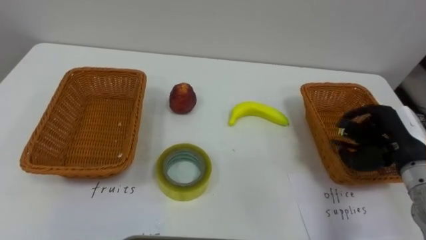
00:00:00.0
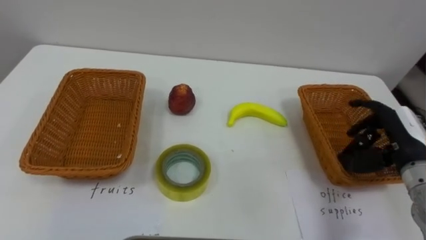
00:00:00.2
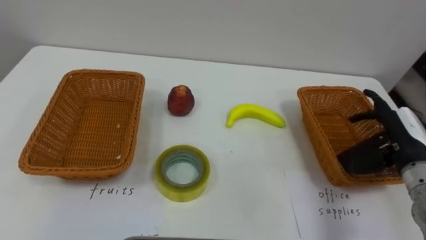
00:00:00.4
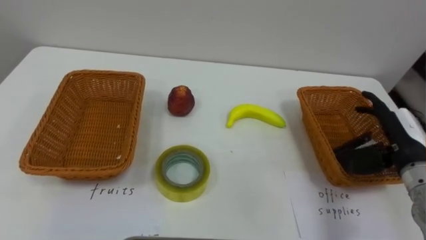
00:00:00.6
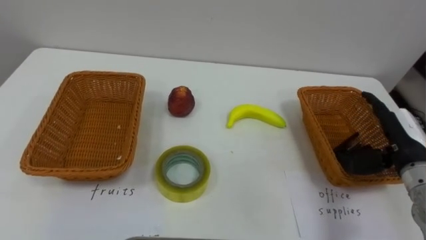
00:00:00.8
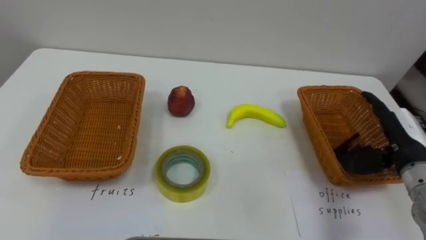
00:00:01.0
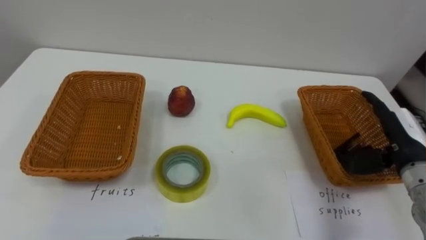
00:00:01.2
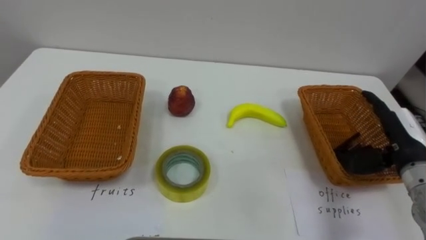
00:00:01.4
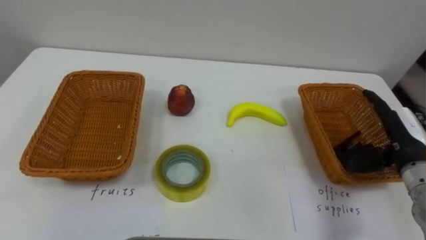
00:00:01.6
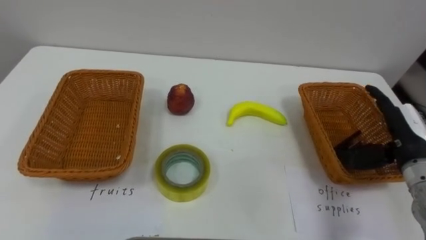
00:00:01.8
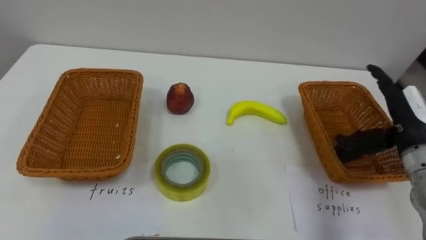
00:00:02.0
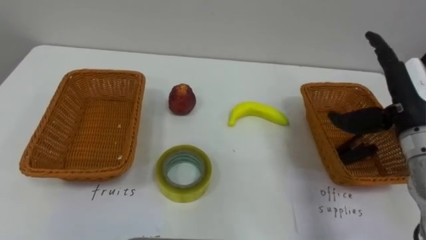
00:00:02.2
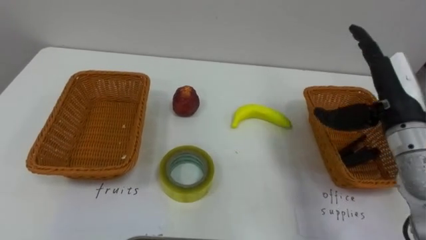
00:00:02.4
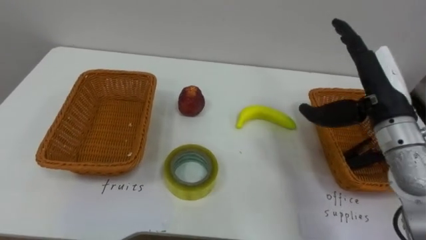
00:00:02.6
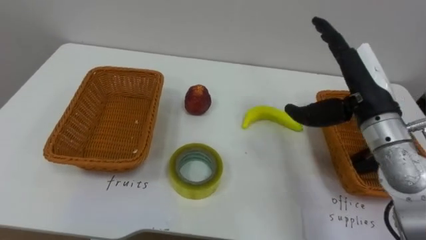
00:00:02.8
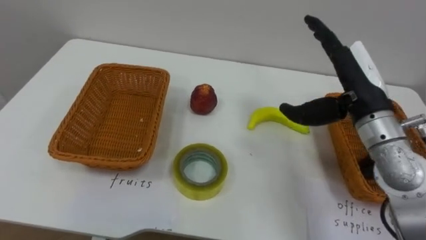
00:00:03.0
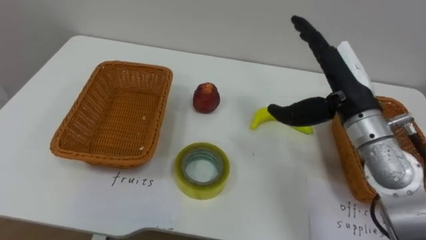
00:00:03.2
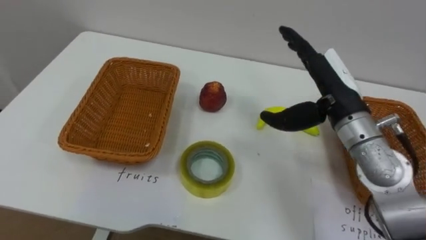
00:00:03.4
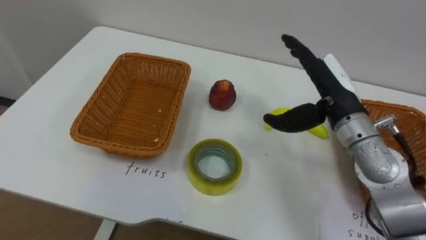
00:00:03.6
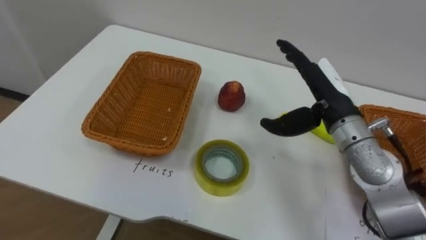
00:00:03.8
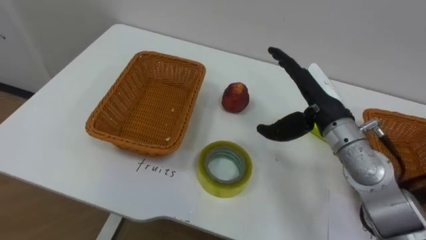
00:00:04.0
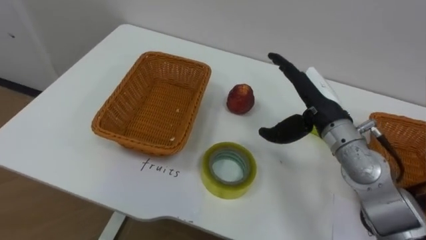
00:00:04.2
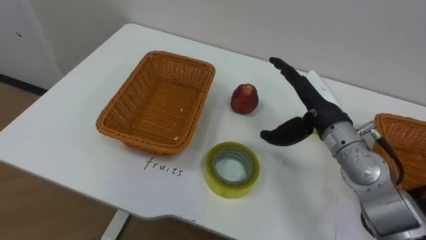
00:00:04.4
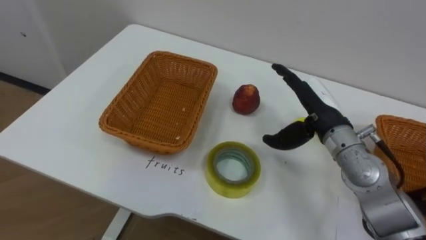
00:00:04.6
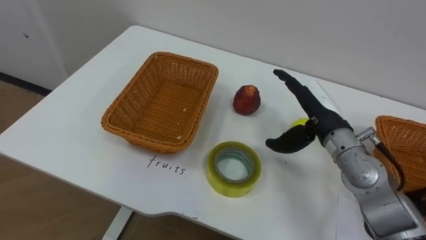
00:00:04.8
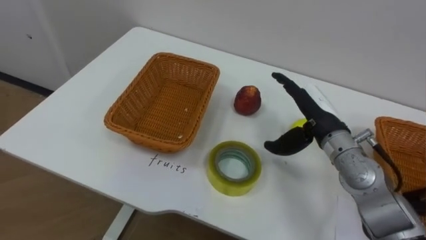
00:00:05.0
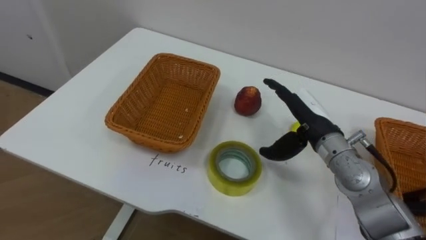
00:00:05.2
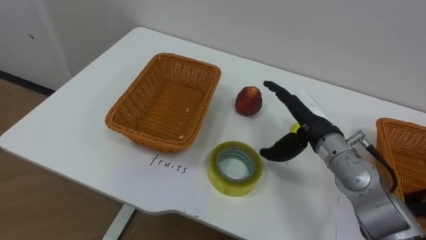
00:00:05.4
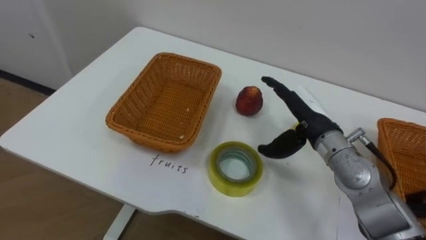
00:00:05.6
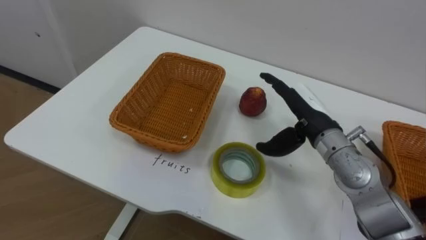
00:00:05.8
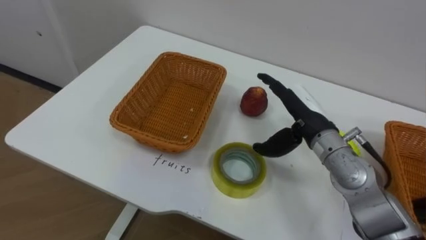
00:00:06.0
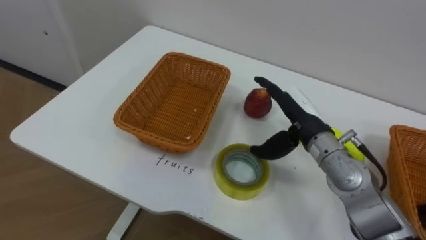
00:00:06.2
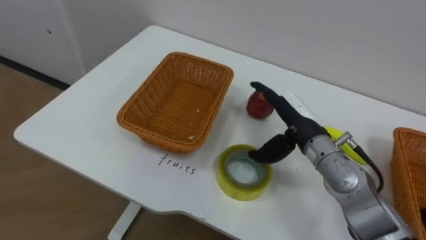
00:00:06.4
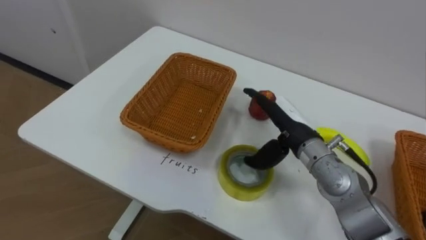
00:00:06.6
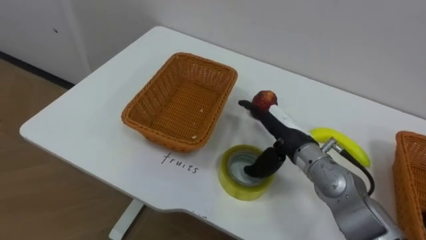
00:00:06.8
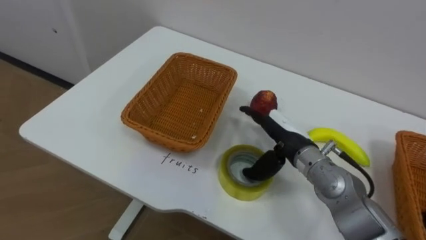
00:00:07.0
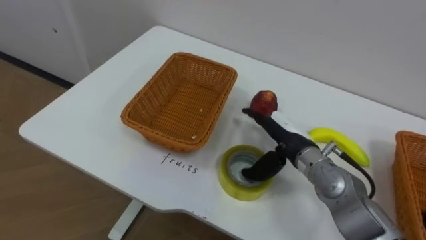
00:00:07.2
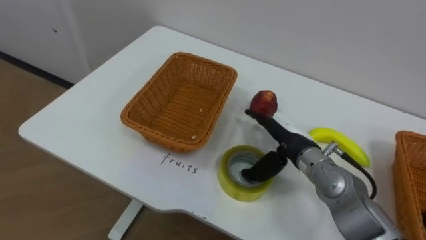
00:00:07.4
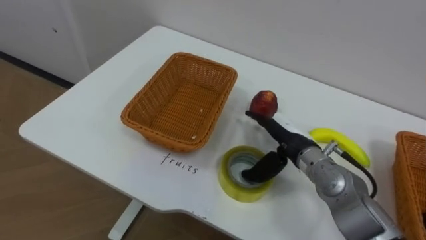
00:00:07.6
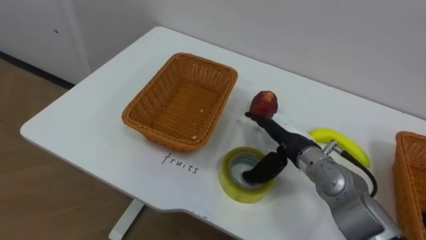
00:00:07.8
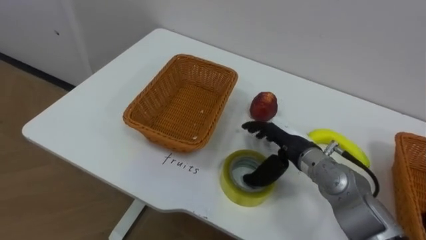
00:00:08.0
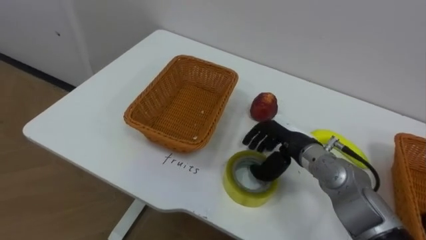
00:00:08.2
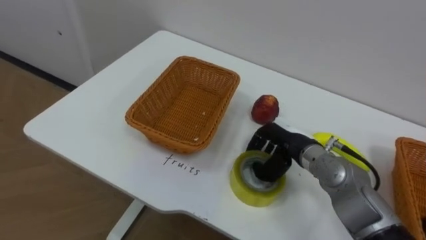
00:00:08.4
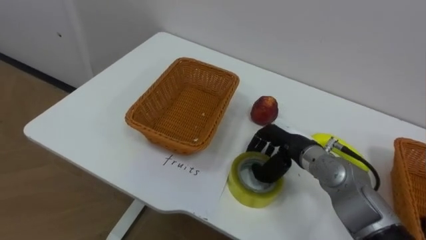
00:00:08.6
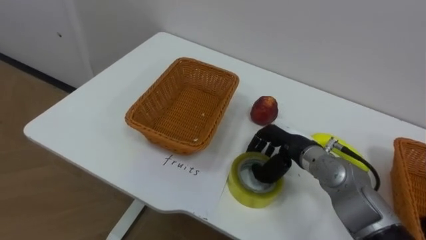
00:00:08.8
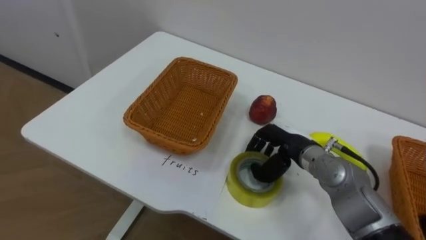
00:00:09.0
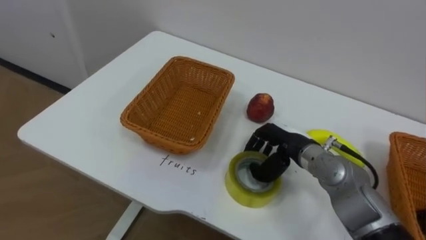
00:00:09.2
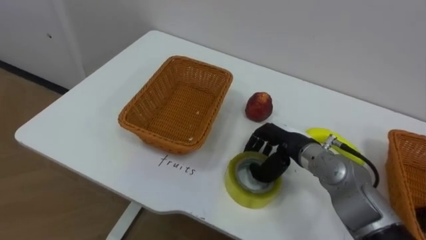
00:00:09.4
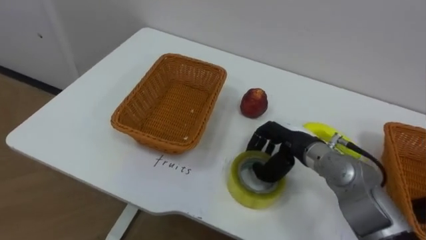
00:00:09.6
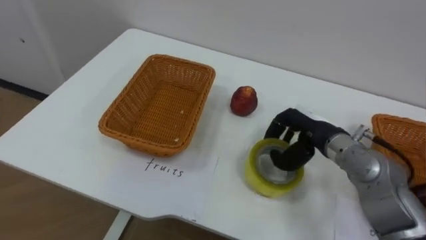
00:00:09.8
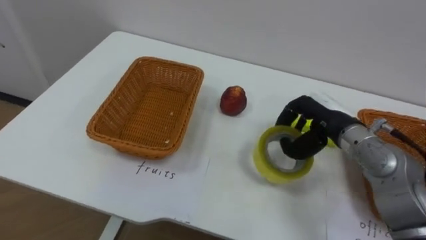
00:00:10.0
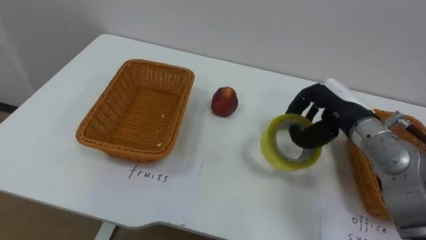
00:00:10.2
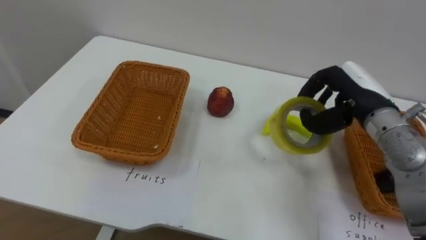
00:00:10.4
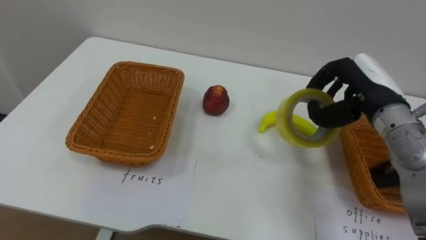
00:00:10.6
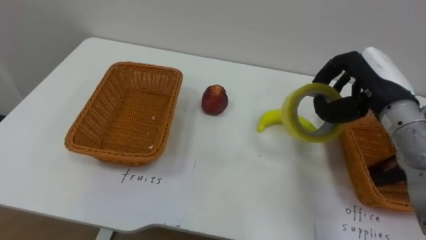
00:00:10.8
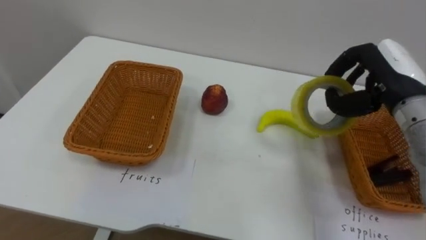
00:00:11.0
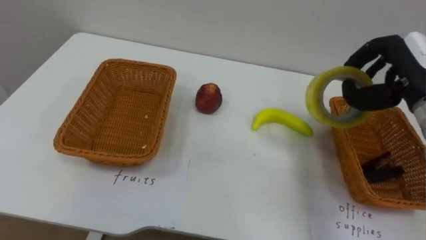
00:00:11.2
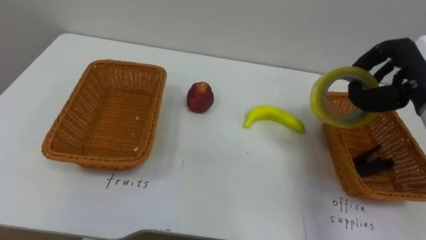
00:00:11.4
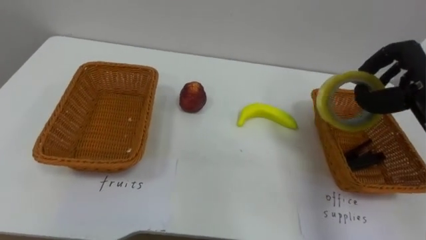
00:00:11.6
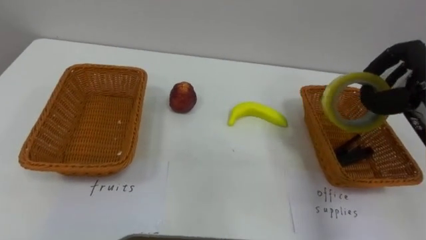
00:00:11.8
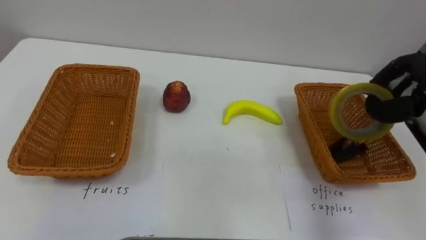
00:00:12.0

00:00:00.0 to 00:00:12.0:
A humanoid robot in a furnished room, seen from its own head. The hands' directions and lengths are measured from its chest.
Task of the whole recording: Separate the items on the table and place them into the two baskets.
00:00:00.0 to 00:00:01.6: The right hand opens.
00:00:01.6 to 00:00:03.0: The right hand heads to the left and upward, covering some 15 cm.
00:00:03.0 to 00:00:04.4: The right hand heads downward, covering some 5 cm.
00:00:06.0 to 00:00:07.6: The right hand moves downward, about 5 cm.
00:00:07.6 to 00:00:09.0: The right hand closes.
00:00:09.0 to 00:00:10.4: The right hand travels upward and to the right by about 15 cm.

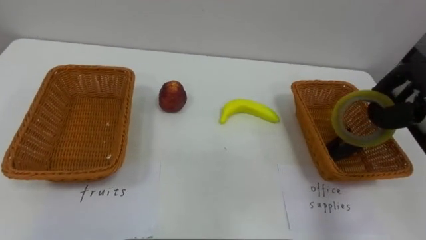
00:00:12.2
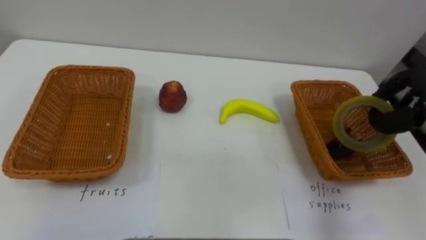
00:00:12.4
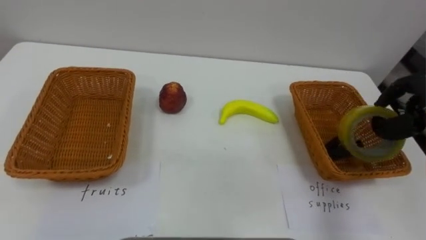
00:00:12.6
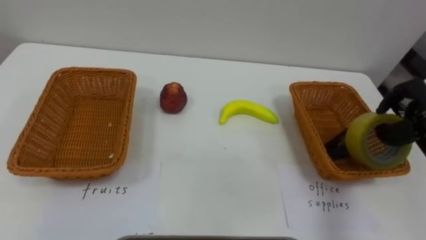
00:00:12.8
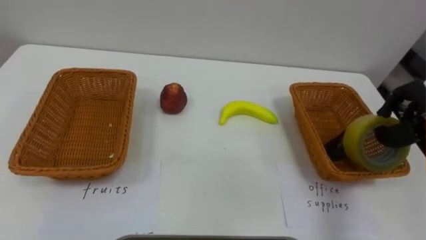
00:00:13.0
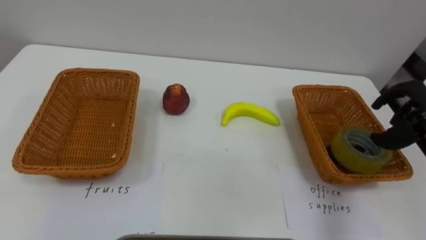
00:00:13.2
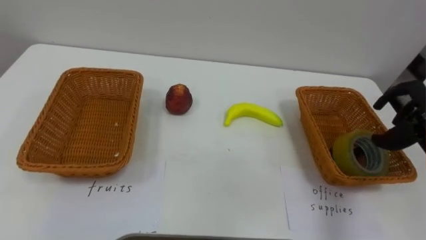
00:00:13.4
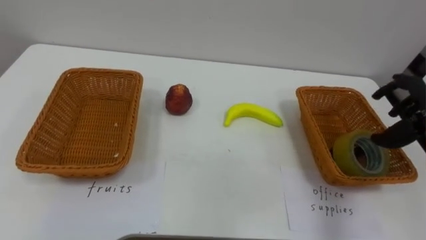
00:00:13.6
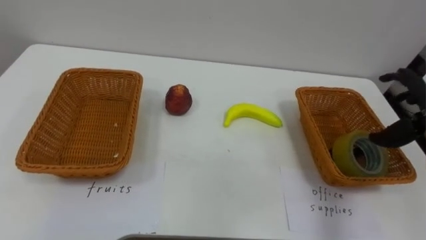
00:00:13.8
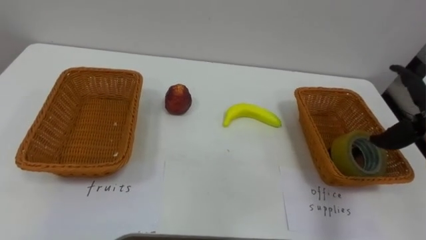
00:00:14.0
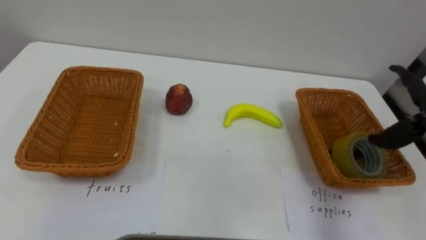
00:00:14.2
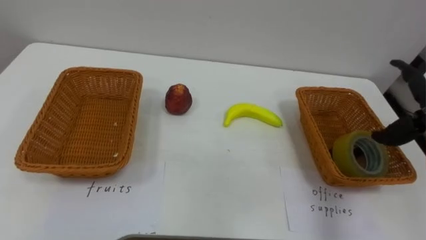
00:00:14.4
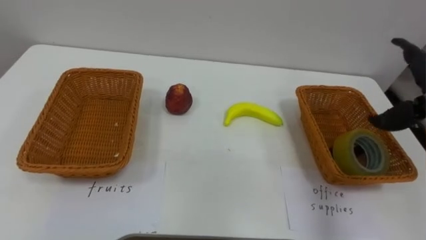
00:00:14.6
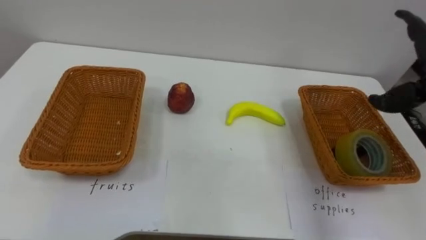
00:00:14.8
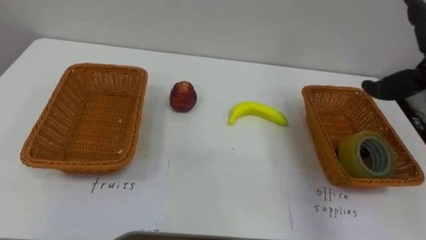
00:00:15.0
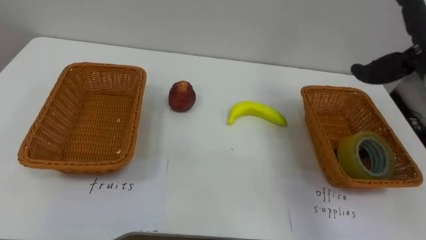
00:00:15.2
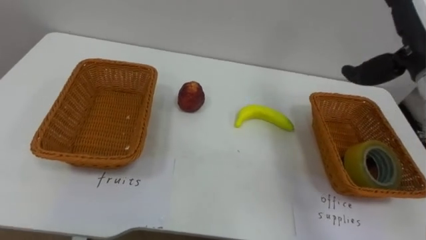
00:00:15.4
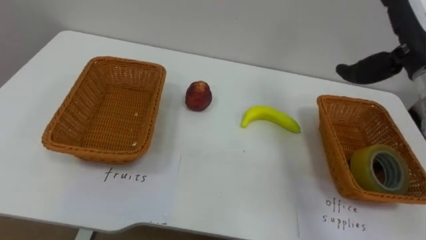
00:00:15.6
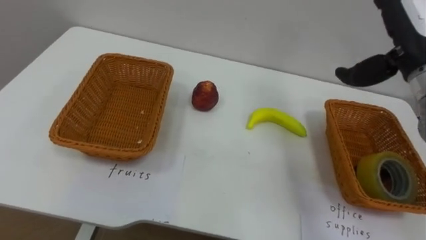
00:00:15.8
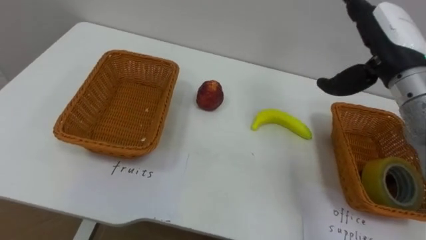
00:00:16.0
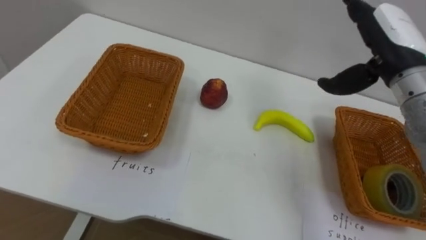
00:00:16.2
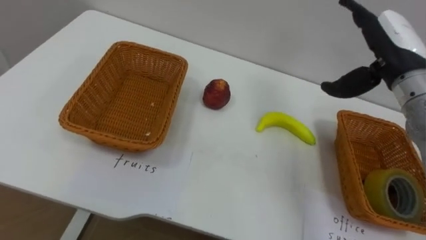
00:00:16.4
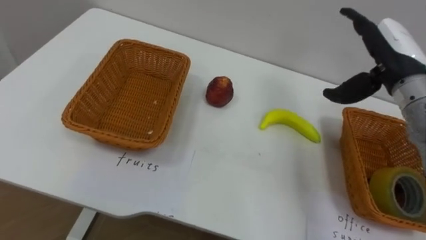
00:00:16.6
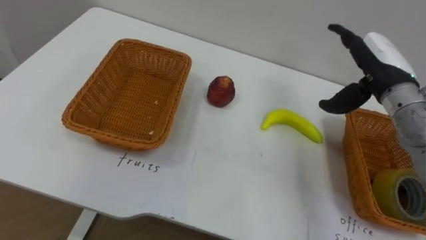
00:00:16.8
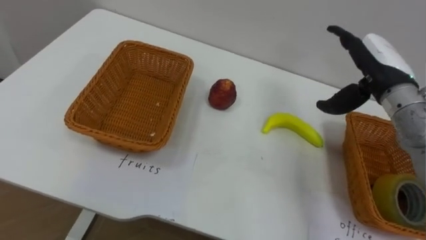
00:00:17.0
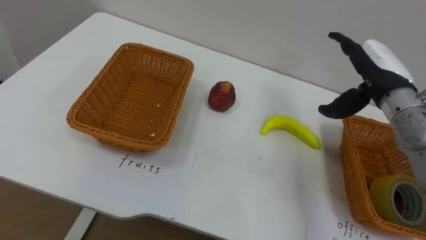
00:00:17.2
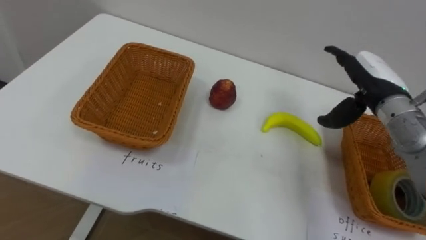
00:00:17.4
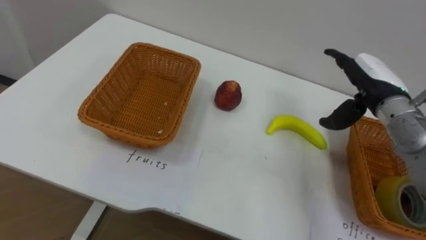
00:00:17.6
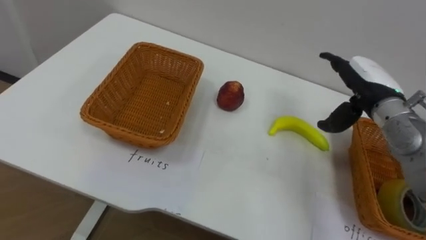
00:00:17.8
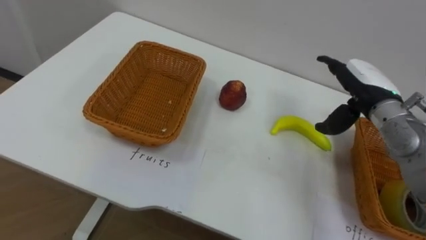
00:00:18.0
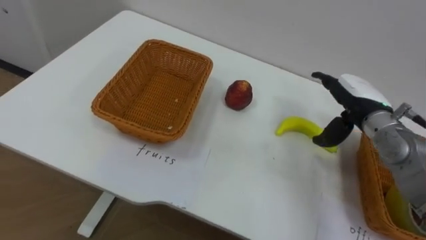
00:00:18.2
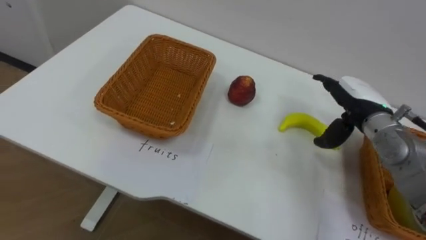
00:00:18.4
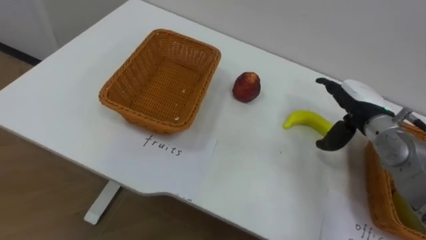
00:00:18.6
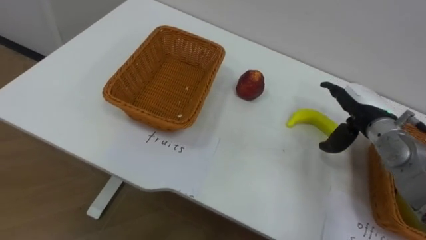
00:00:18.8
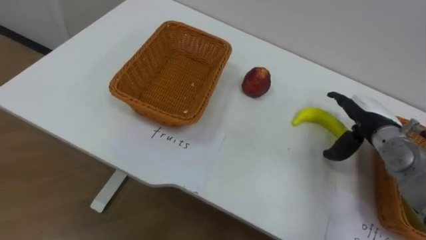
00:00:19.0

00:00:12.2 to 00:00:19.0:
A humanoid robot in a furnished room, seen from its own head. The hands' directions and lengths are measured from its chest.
Task of the whole recording: Separate the items on the table and place them into the two baskets.
00:00:16.2 to 00:00:17.6: The right hand travels downward by roughly 10 cm.
00:00:17.6 to 00:00:19.0: The right hand moves downward, some 5 cm.
